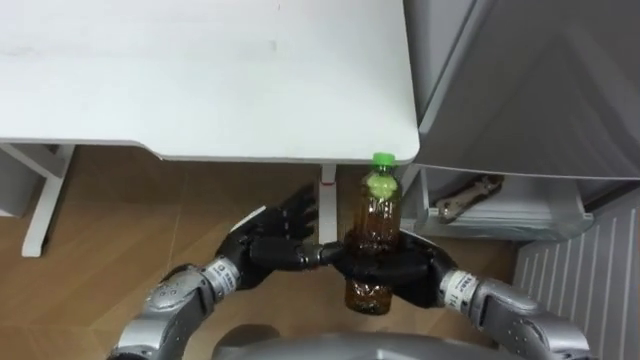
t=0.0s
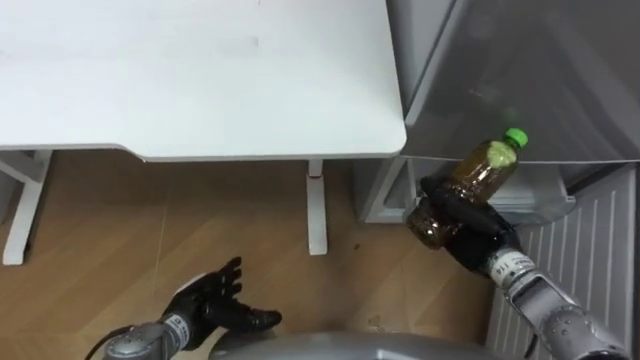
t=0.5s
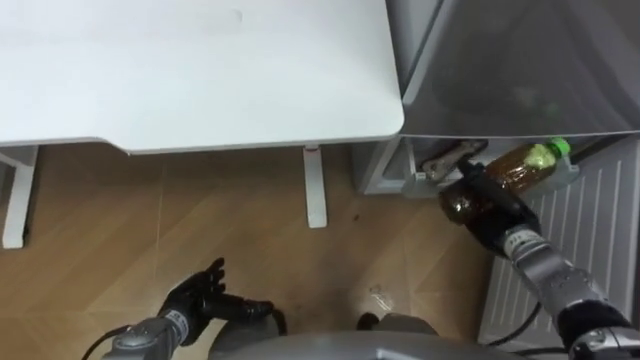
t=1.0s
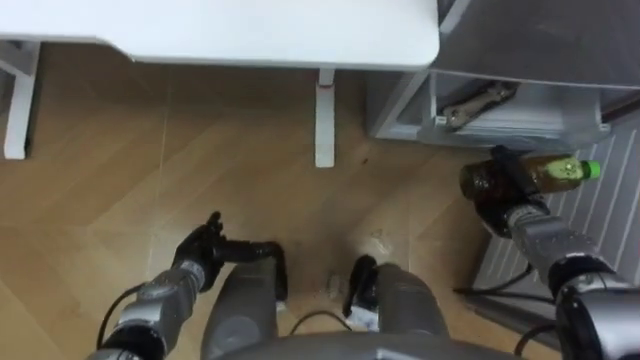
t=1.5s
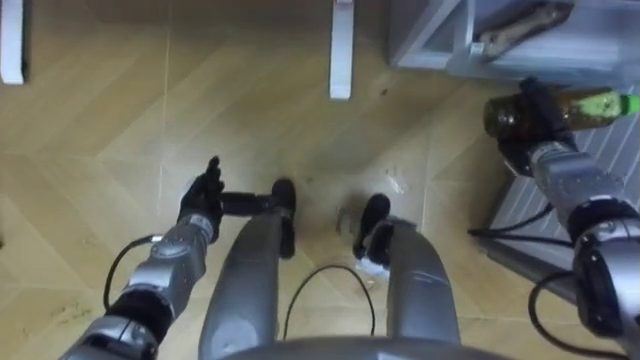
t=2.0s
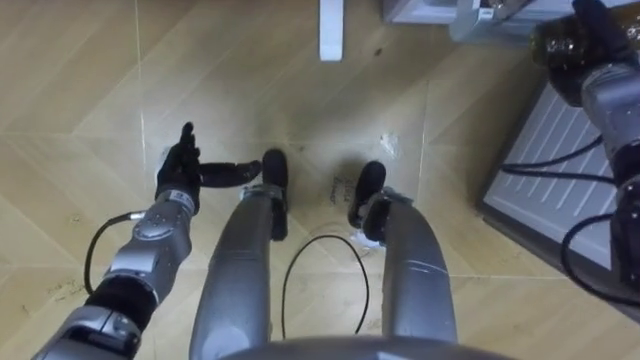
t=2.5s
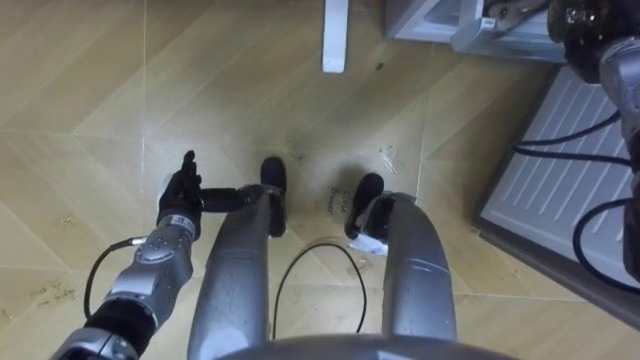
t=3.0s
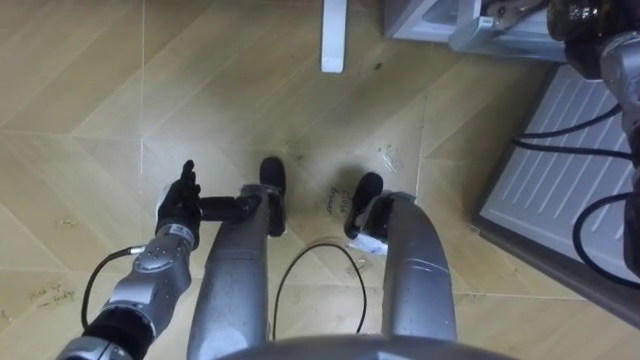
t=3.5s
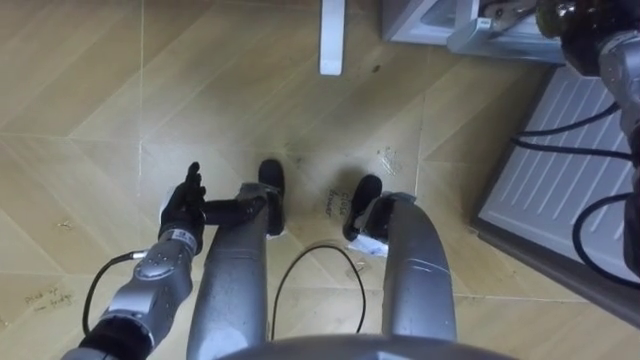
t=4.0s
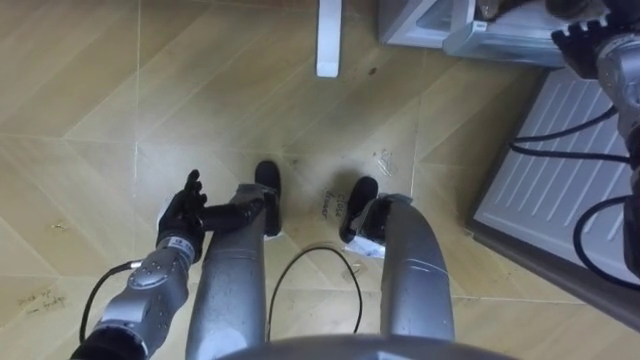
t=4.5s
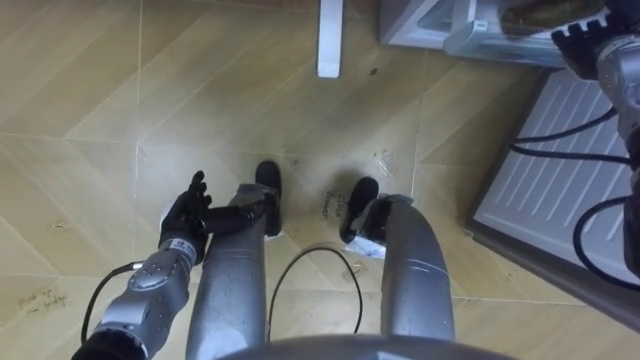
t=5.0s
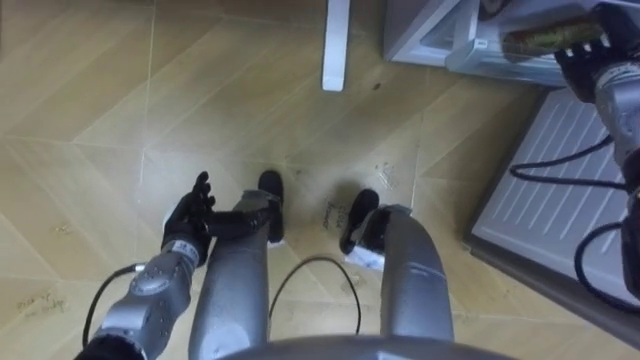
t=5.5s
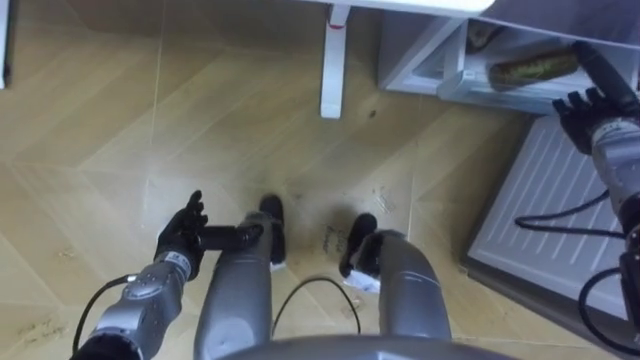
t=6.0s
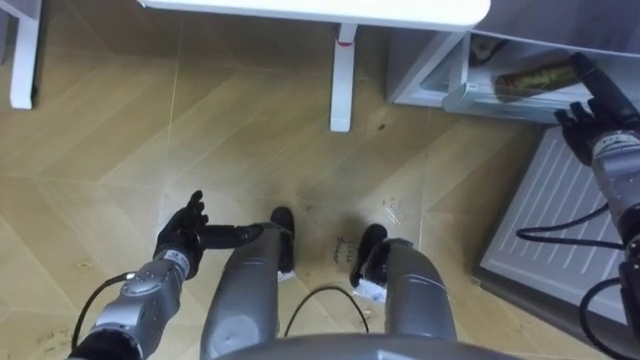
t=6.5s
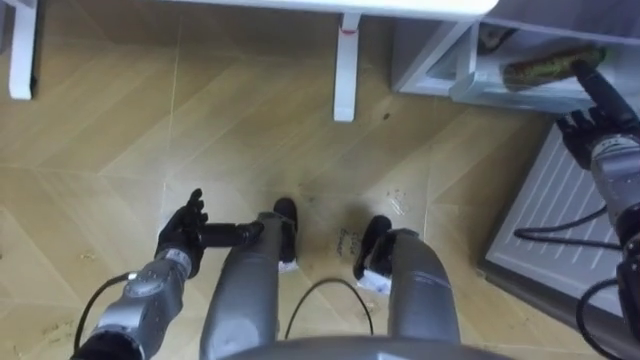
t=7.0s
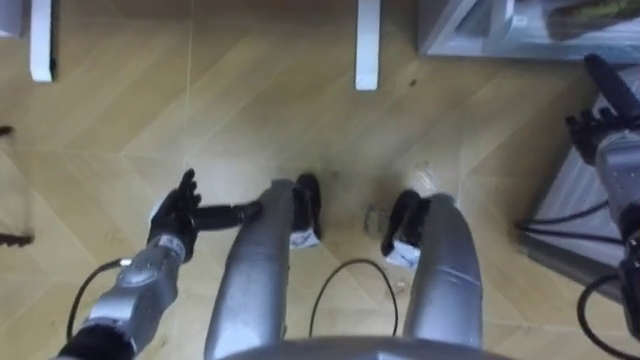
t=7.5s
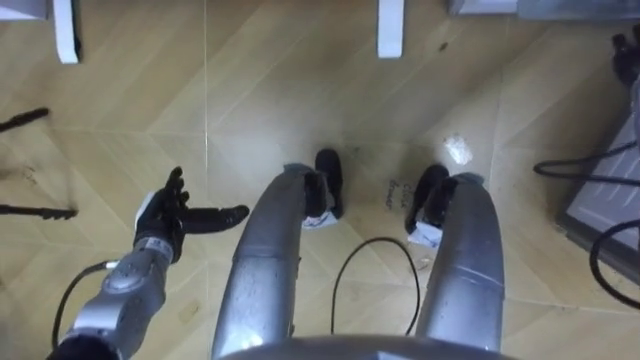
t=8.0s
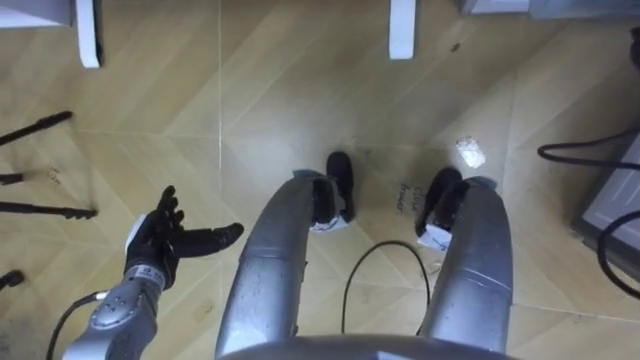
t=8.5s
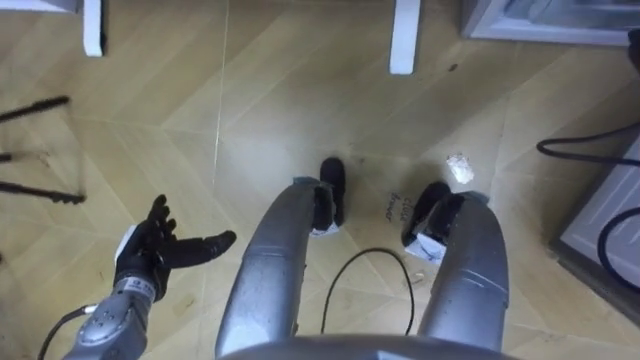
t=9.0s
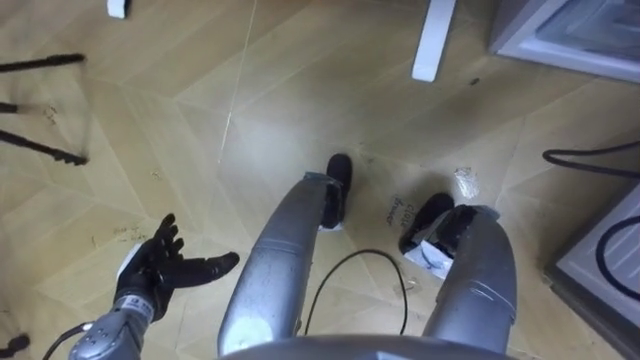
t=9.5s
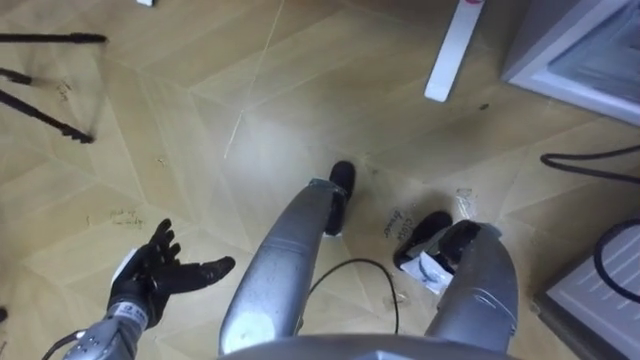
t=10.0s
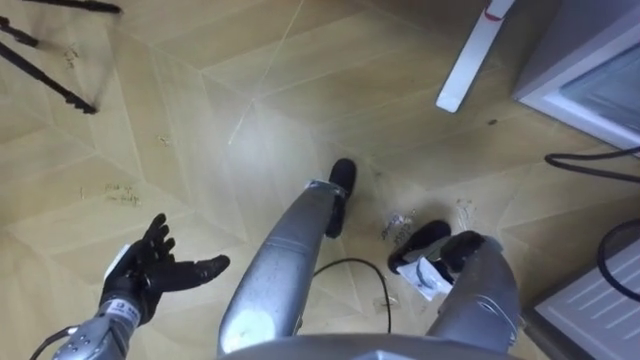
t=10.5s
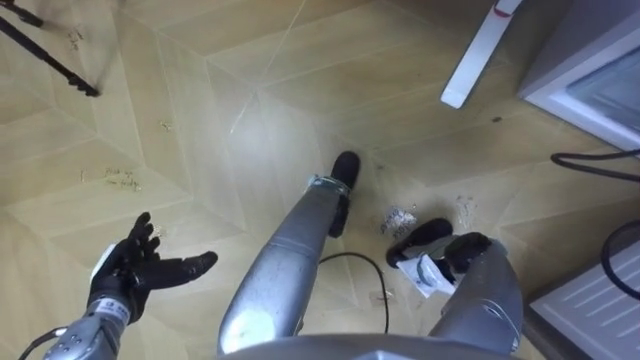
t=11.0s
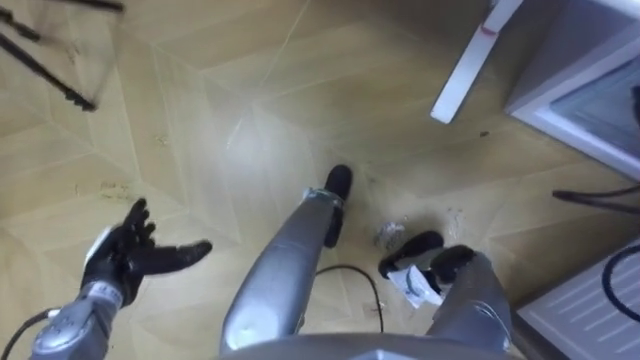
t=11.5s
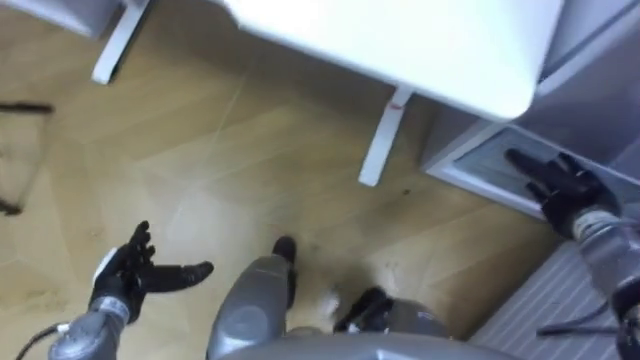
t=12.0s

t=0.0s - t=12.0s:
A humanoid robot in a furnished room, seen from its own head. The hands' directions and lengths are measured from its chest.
Task of the whole recording: Place the drink on the table on the bottom shelf of the refrigerator, then close the drawer and the refrigerator door.
t=0.0s - t=2.0s: The right hand travels to the right and forward by some 25 cm, while the left hand travels to the left and forward by about 10 cm.
t=2.0s - t=4.0s: The right hand heads upward and forward, covering roughly 15 cm, and opens up.
t=4.0s - t=6.0s: The right hand heads downward and backward, covering some 10 cm.
t=8.0s - t=10.0s: The left hand goes about 10 cm backward.

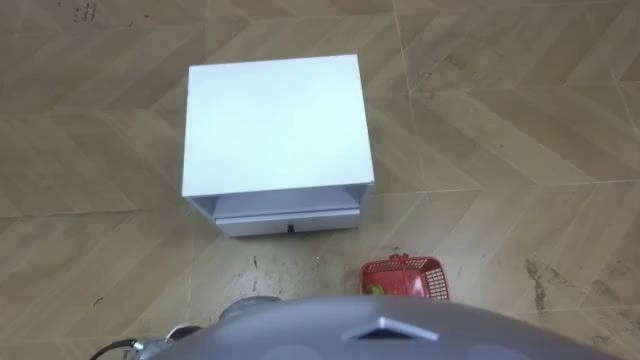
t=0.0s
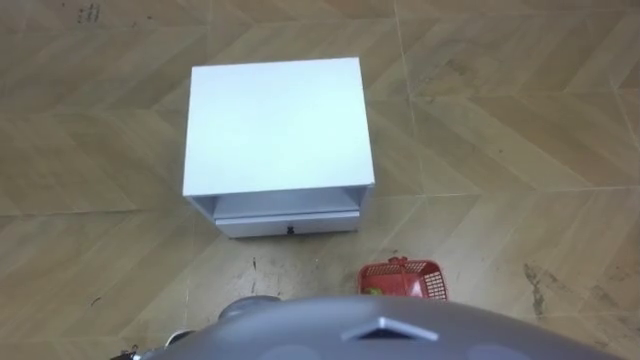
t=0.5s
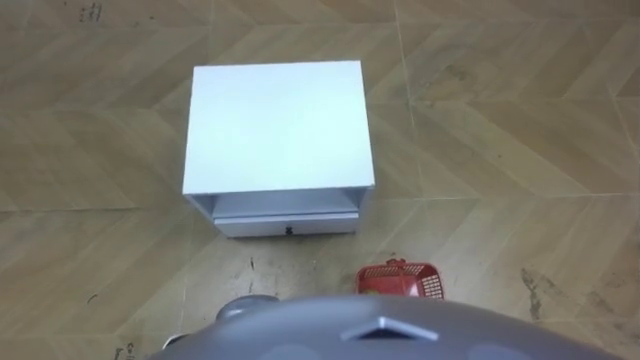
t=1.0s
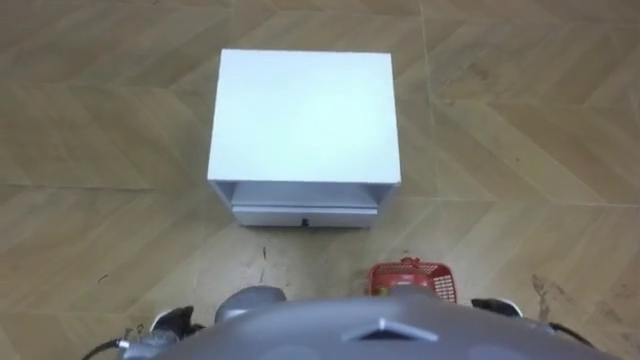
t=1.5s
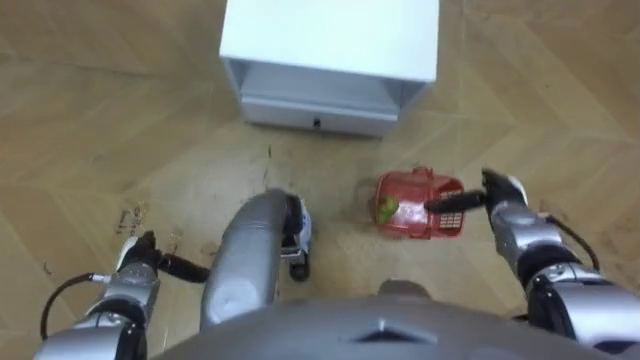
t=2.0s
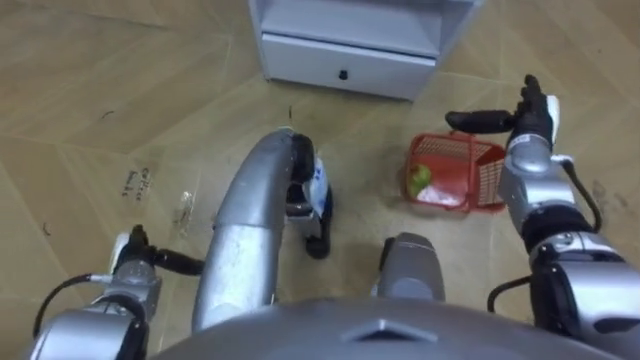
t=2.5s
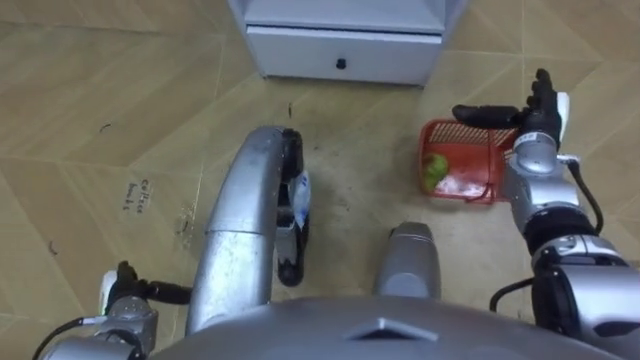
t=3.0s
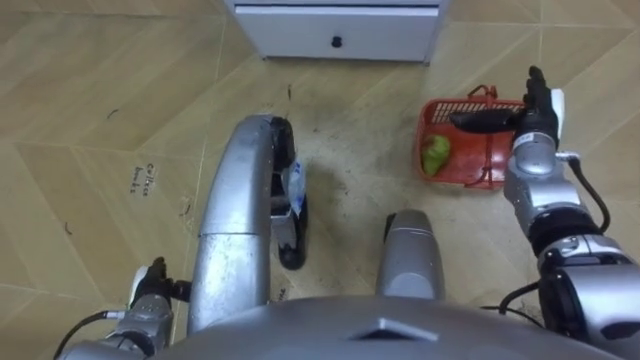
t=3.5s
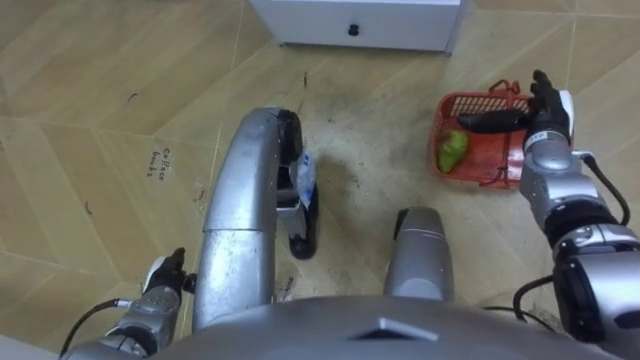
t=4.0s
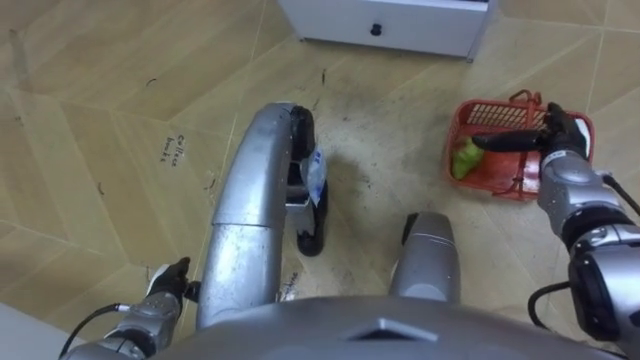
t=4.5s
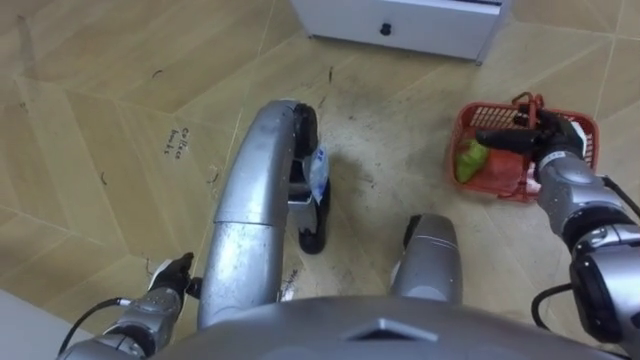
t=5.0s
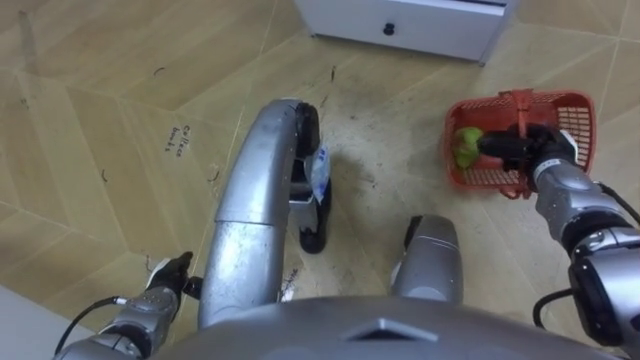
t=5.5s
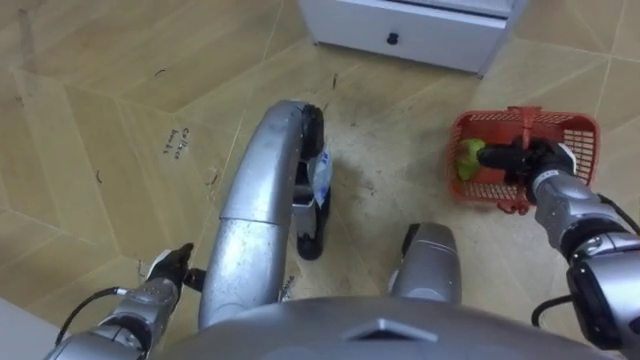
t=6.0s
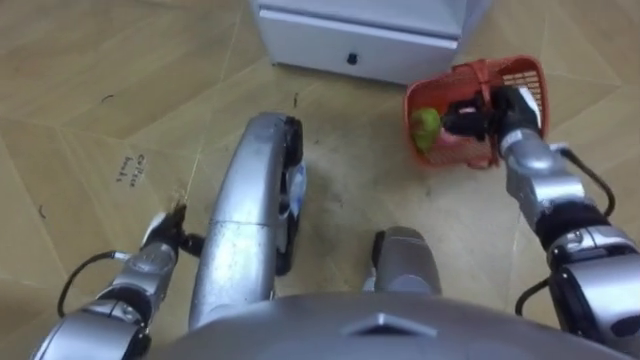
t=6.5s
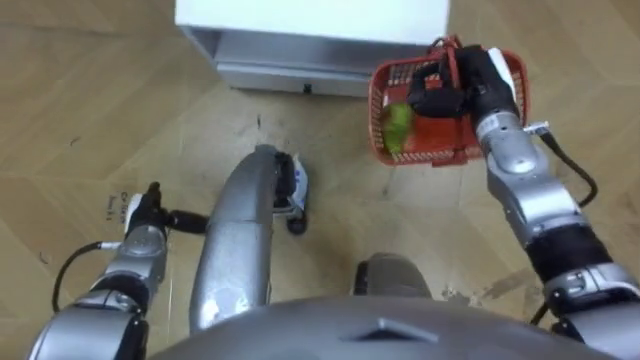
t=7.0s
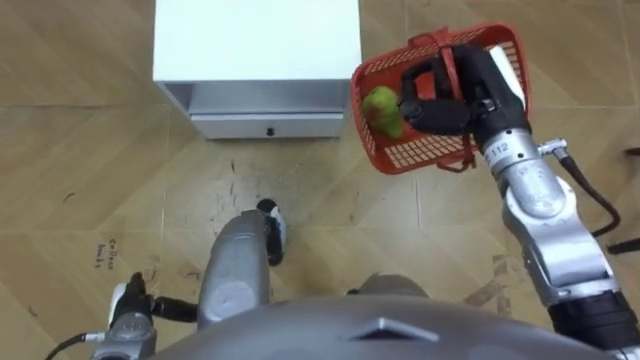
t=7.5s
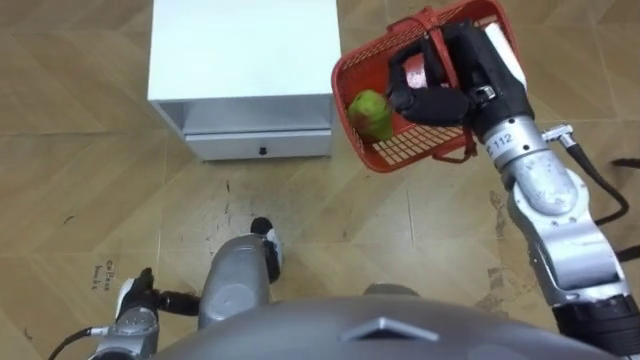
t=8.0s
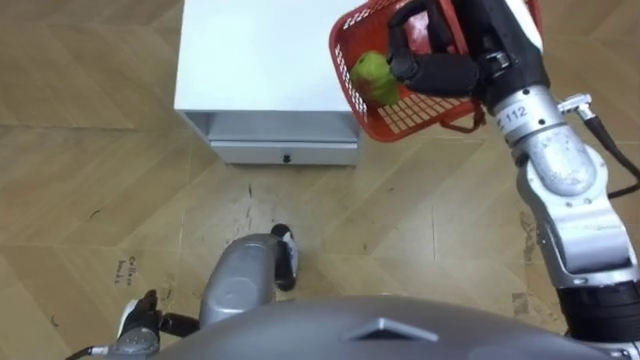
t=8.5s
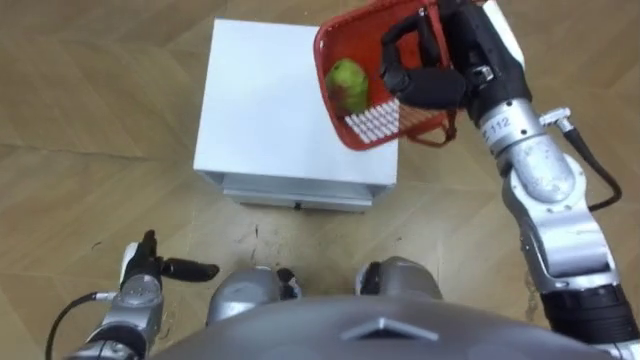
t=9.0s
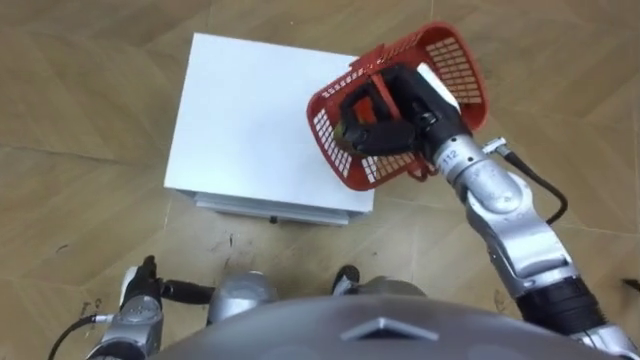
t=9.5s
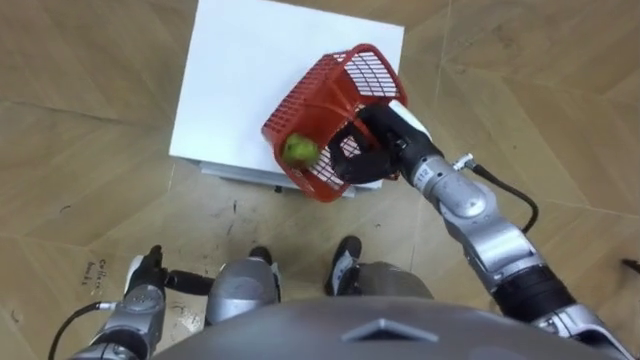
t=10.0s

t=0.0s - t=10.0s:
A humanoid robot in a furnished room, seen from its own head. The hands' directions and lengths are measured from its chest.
Task of the whole recording: Pick up the fruit basket from the floor and place it on the cabinet.
t=2.0s - t=4.0s: The right hand is displaced forward and upward by about 15 cm.
t=4.0s - t=6.0s: The right hand moves backward, about 5 cm, and closes up.
t=6.0s - t=8.0s: The robot faces about 20 degrees further to its right. The left hand goes forward and returns, some 10 cm each way; the right hand goes about 25 cm upward and to the left.
t=8.0s - t=10.0s: The right hand is displaced downward and to the left by some 15 cm.
